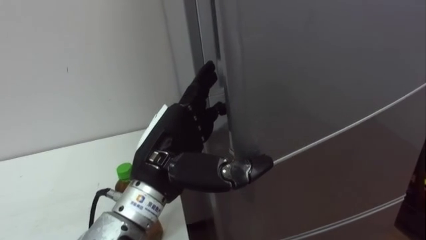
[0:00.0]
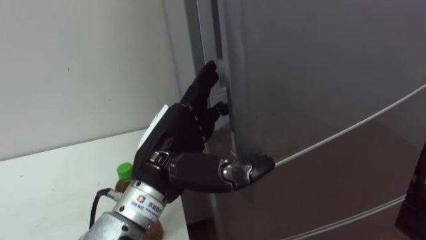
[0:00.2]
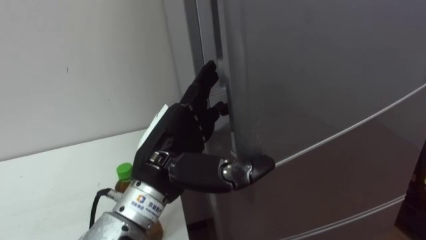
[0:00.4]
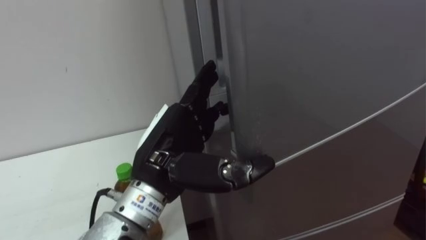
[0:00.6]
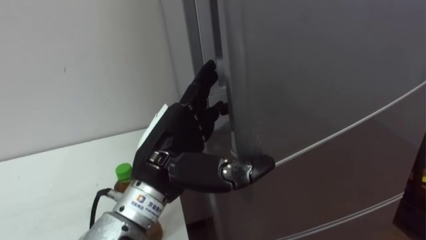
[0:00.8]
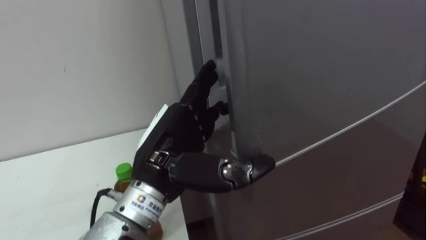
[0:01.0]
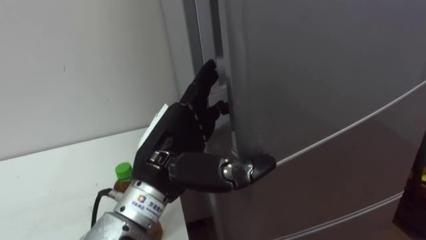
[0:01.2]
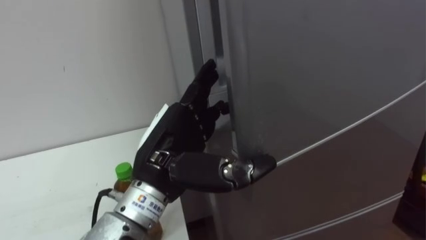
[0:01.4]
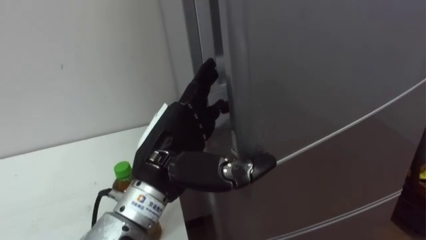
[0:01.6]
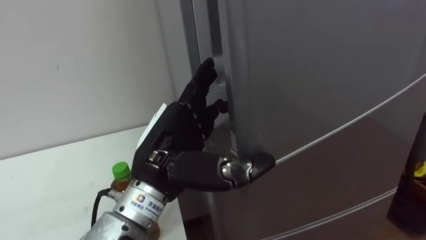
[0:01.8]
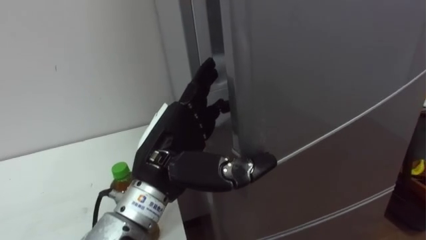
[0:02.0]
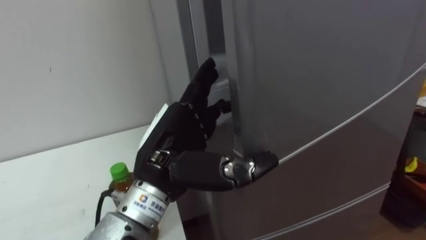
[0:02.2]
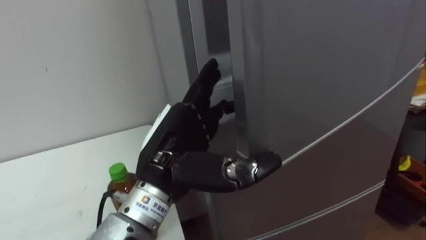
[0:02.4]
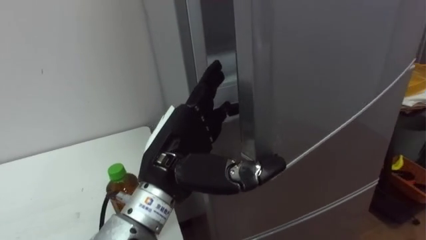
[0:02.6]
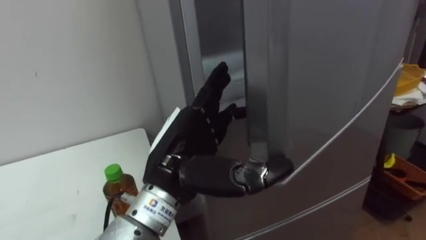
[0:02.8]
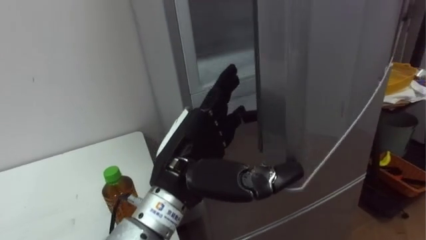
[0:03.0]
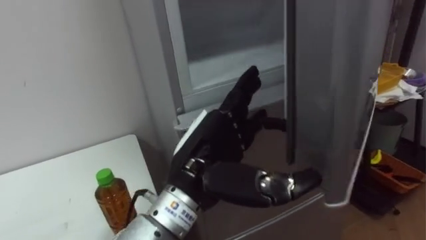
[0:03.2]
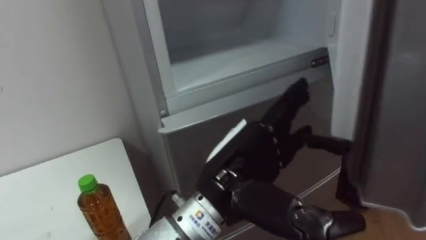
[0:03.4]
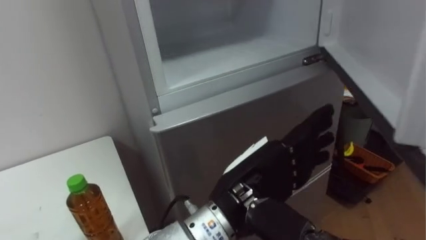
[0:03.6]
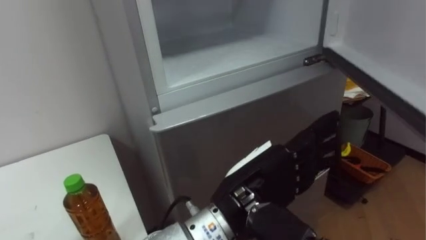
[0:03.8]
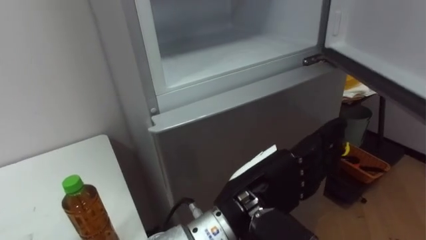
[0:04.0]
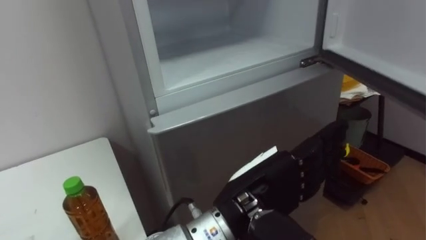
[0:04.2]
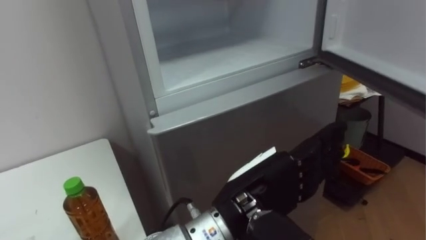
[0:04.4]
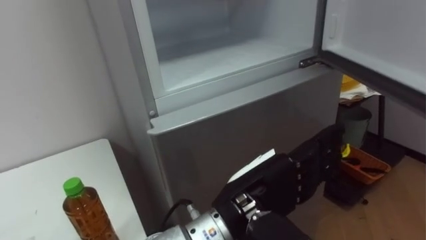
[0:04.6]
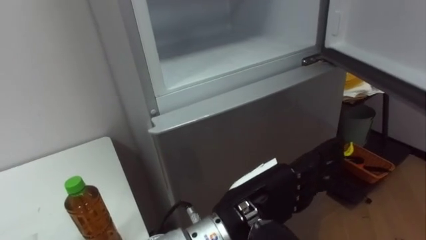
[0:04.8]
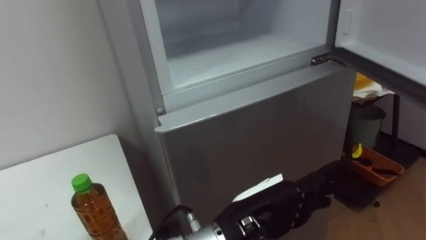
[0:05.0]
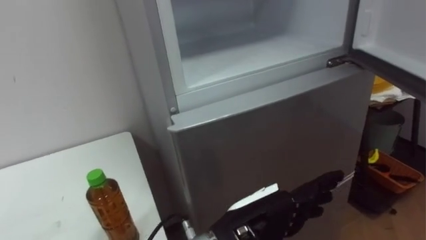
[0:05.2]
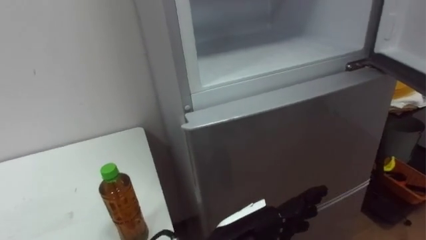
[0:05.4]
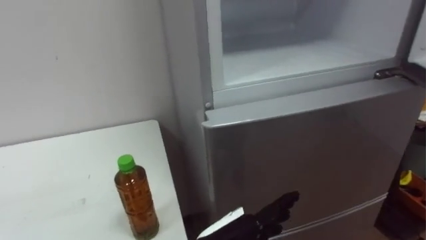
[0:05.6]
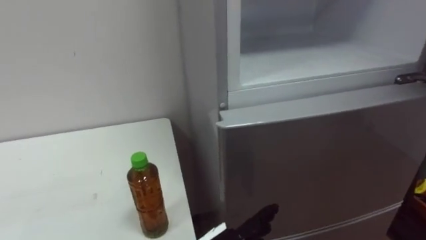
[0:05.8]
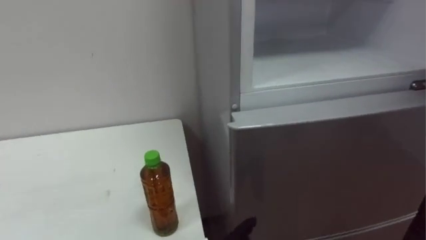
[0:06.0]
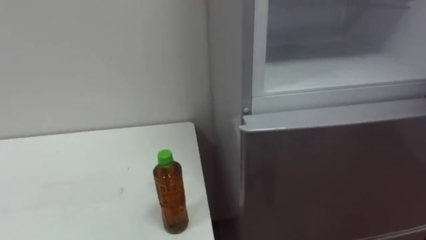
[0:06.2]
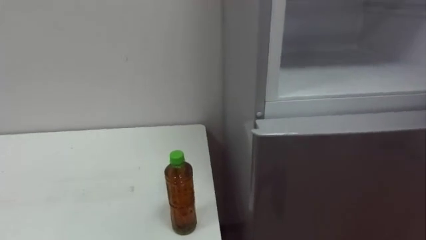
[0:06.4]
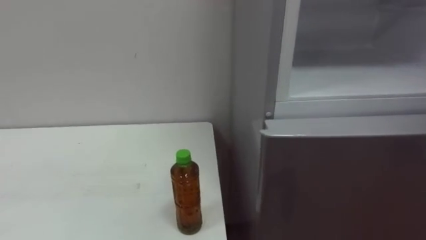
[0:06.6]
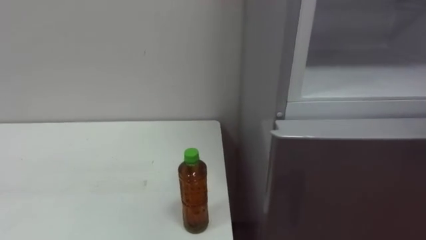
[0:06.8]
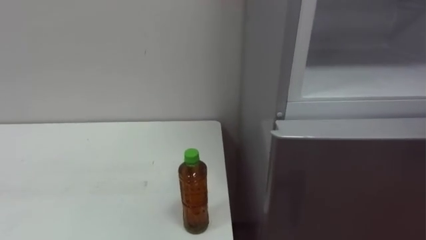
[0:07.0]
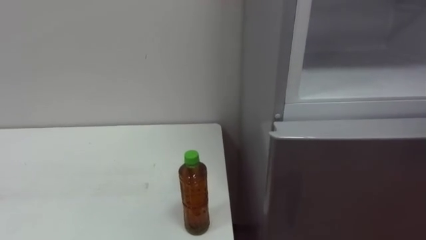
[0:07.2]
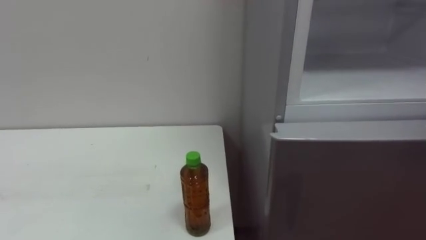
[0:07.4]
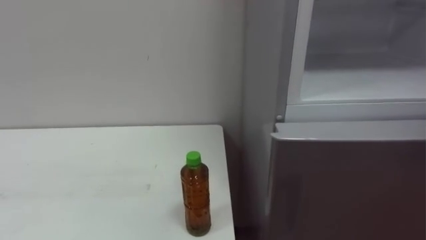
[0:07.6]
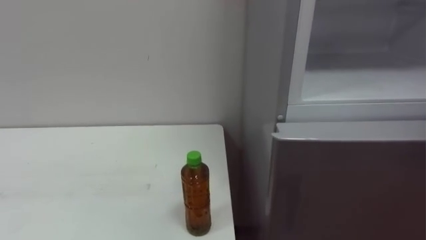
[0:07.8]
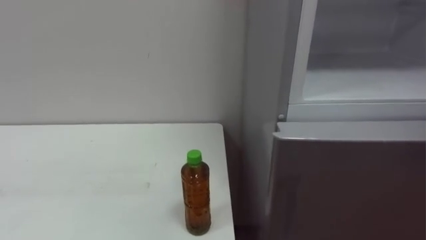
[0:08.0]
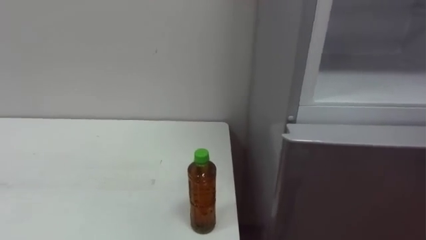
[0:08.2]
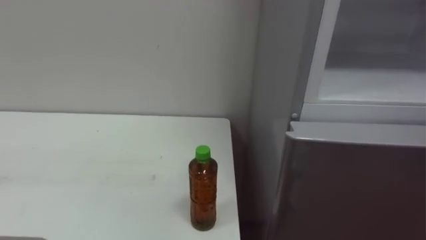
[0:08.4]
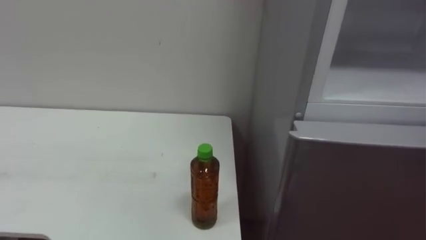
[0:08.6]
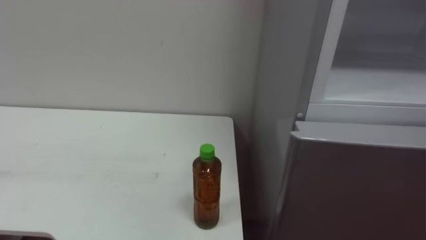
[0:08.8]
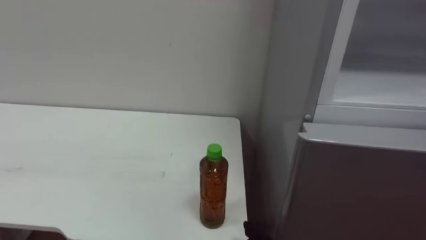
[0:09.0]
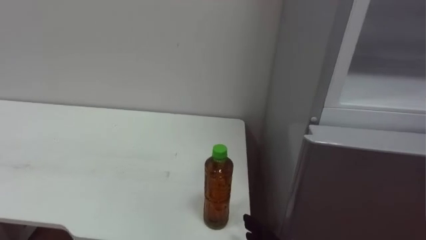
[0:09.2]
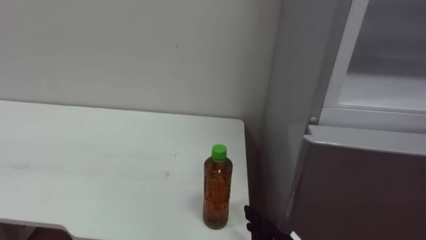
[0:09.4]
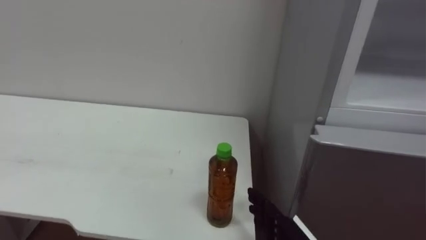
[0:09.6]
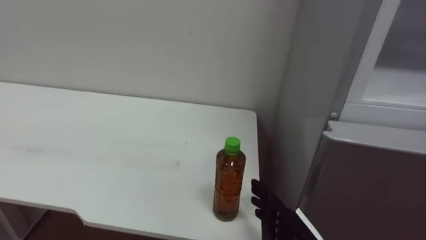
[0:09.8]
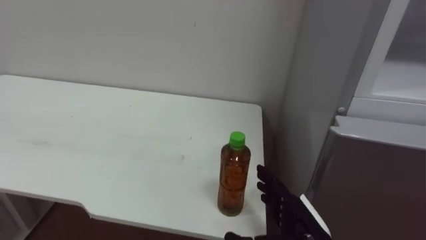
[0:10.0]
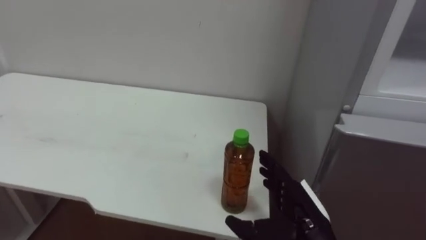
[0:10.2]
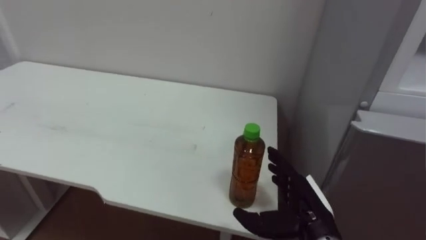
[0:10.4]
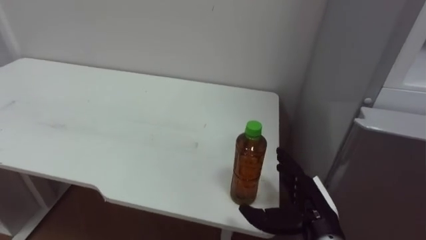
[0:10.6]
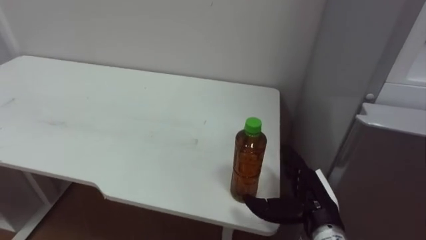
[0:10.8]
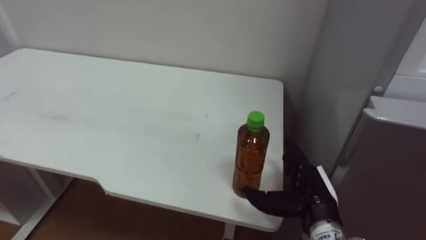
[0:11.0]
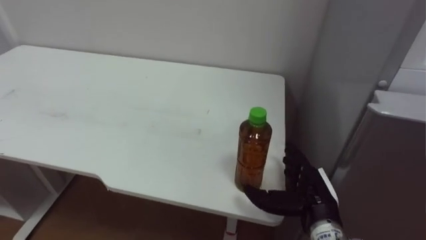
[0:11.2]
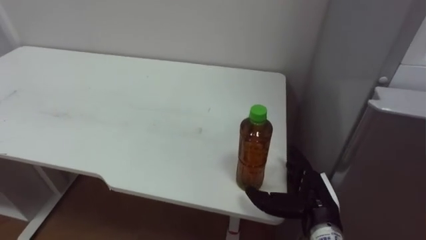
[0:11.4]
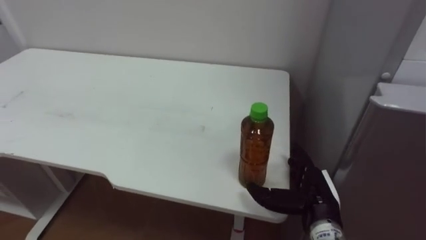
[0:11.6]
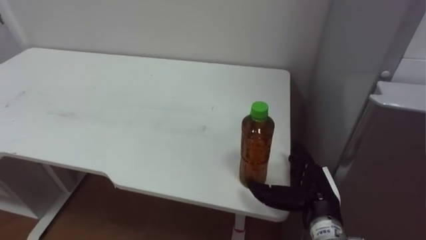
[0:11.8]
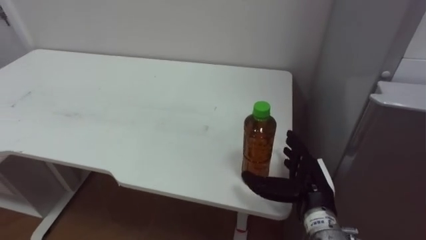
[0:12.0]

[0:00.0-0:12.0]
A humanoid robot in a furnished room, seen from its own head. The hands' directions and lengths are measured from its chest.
Task of the whole recording: Open the upper refrigerator door, put the drink from the table into the refrigerator, and then close the refrigerator door.
0:03.0 to 0:04.4: The left hand goes about 10 cm to the right.

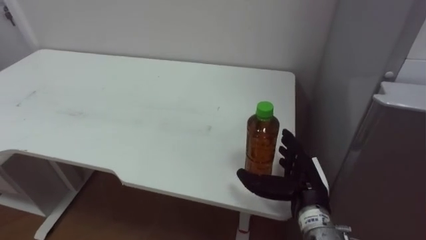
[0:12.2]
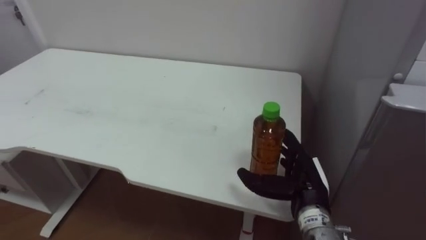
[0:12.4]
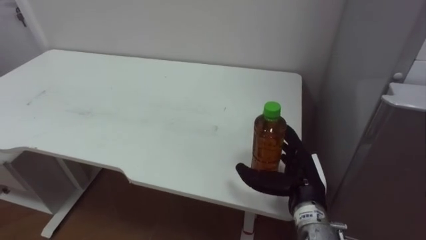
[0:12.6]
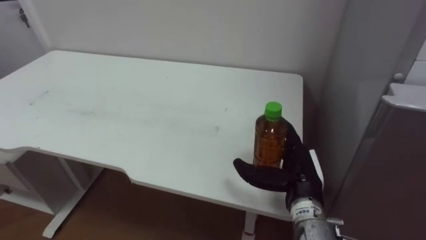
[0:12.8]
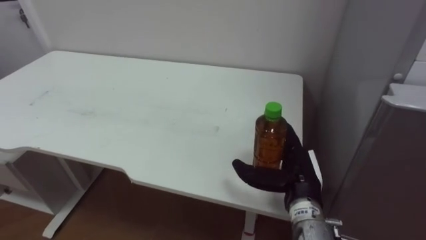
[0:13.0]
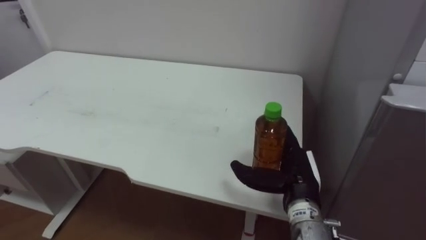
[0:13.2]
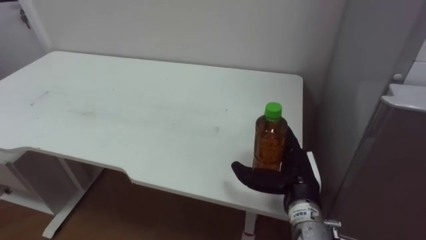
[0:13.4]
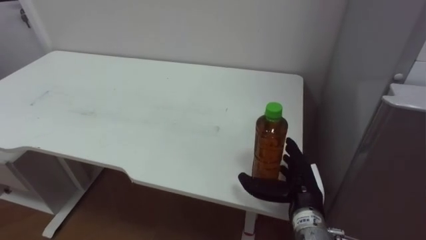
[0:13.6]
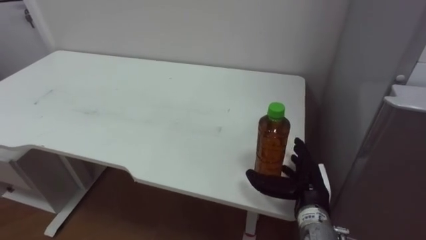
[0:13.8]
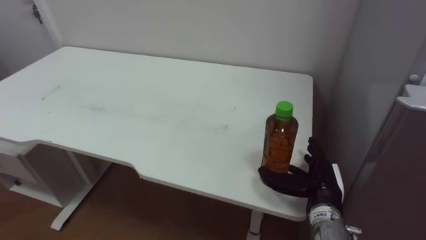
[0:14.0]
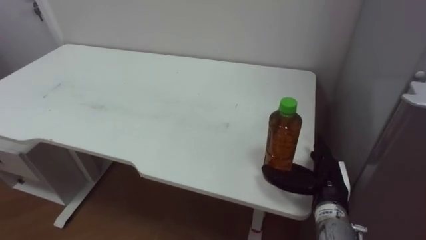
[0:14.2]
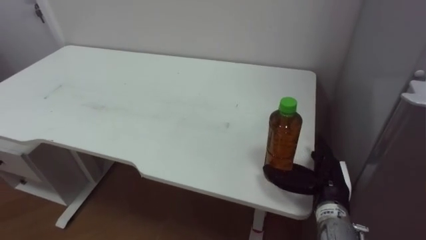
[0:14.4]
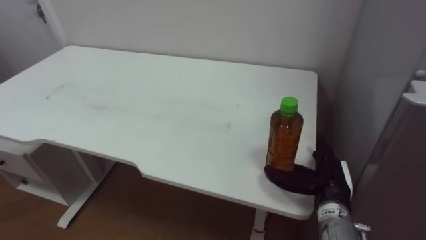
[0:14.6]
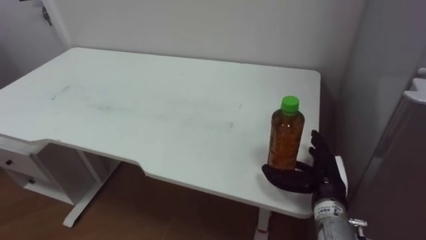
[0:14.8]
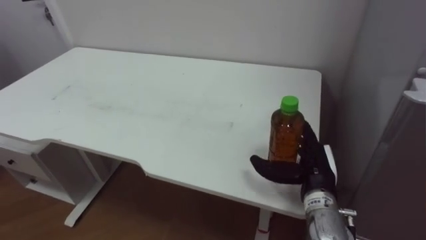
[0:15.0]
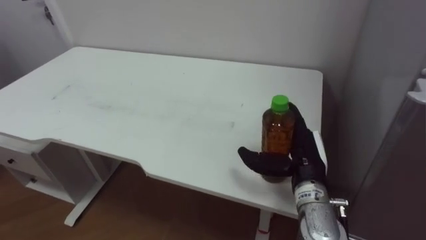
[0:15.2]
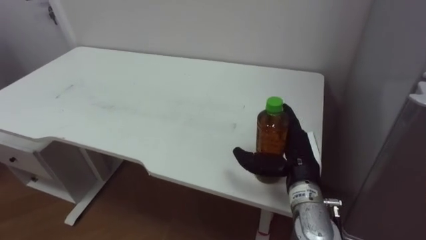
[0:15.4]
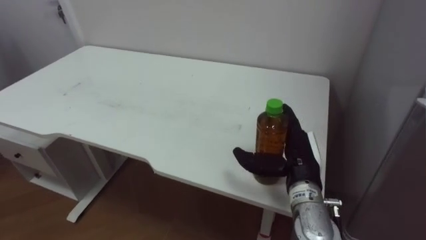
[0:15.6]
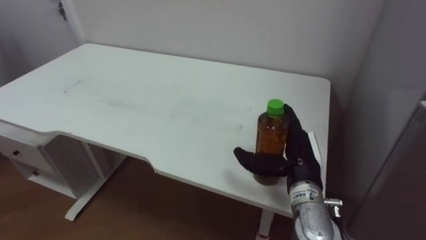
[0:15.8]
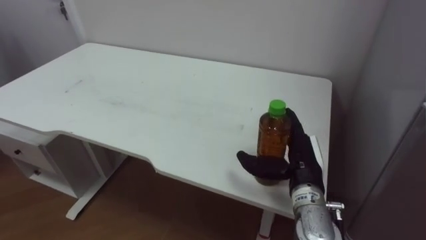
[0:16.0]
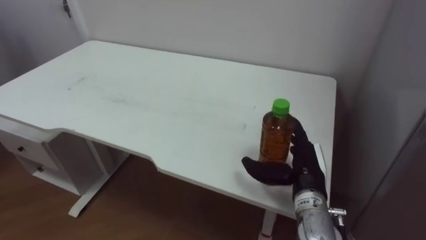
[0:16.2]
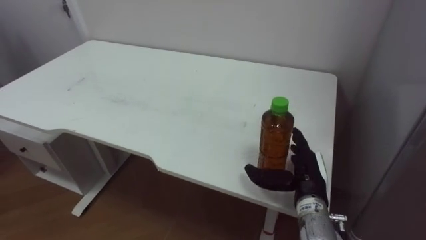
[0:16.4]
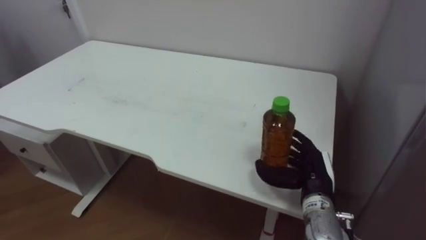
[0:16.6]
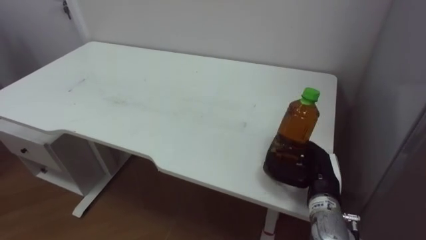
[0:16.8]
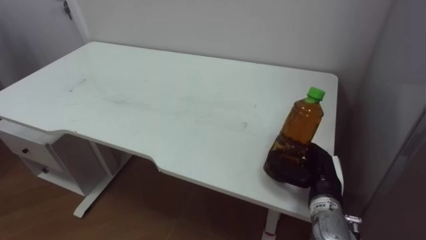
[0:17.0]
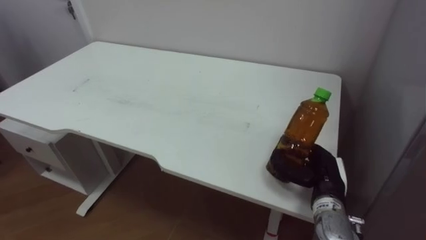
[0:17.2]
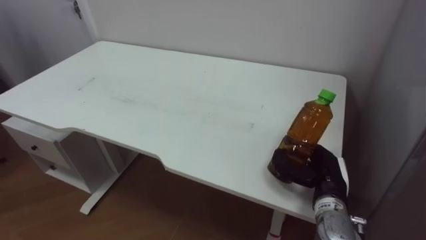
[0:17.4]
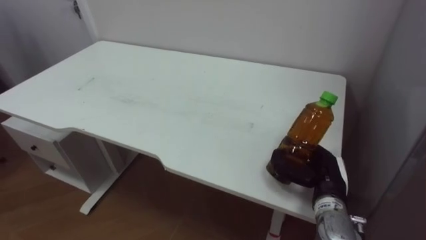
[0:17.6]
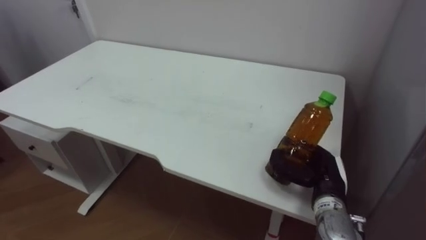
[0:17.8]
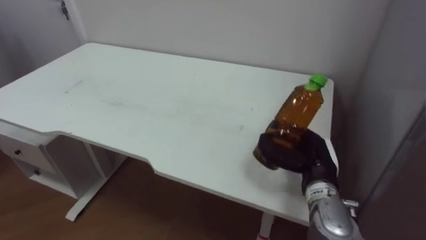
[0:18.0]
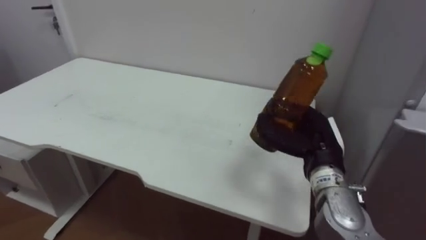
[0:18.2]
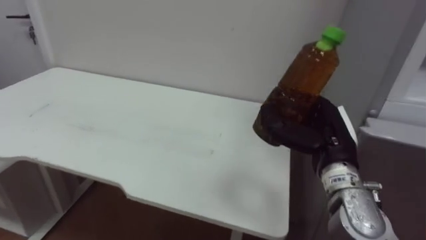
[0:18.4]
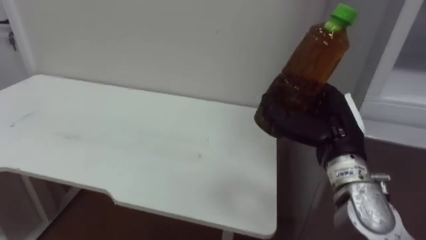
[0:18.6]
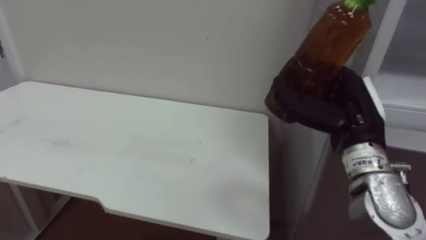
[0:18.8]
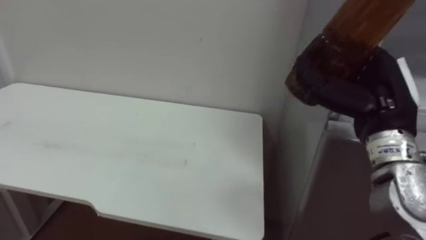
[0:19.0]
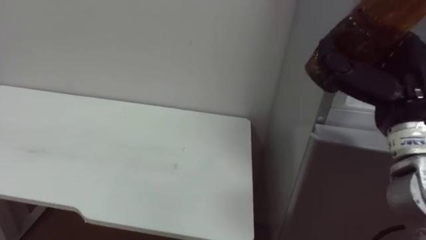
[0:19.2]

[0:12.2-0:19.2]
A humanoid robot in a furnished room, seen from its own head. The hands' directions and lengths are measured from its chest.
Task of the whole recording: Open the upper refrigerator door, put the drink from the table into the refrigerator, and then close the refrigerator door.
0:16.4 to 0:17.8: The right hand closes its fingers.
0:17.8 to 0:19.2: The right hand travels upward by some 20 cm.
